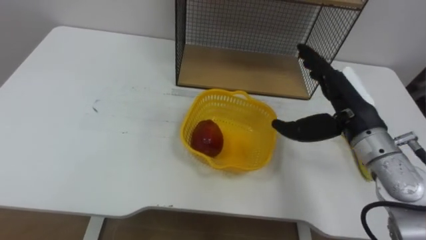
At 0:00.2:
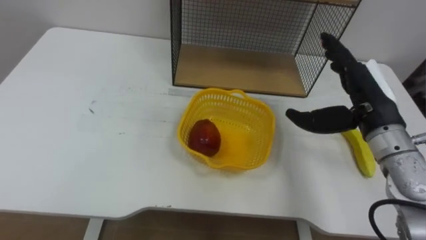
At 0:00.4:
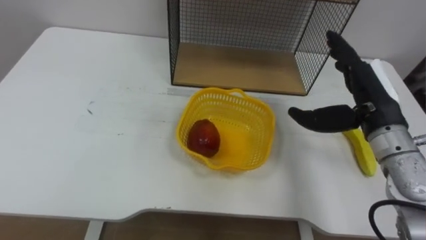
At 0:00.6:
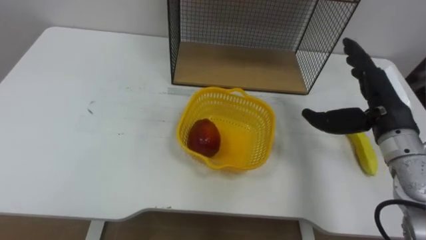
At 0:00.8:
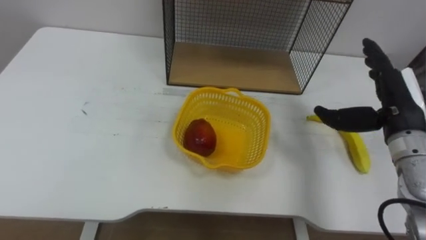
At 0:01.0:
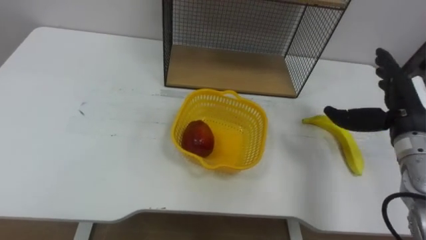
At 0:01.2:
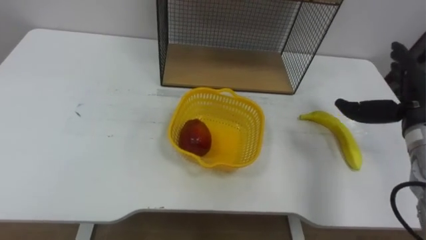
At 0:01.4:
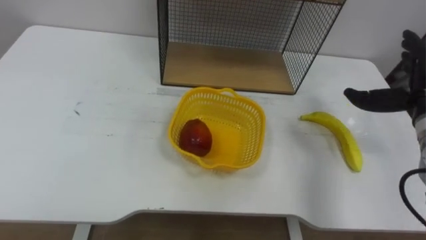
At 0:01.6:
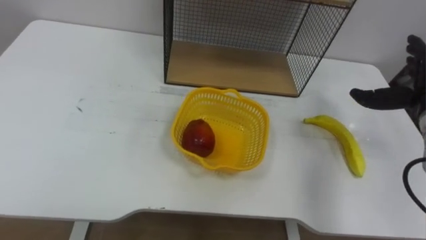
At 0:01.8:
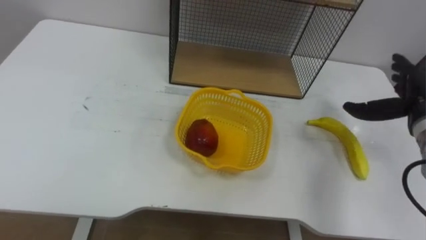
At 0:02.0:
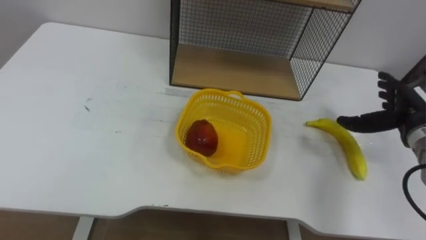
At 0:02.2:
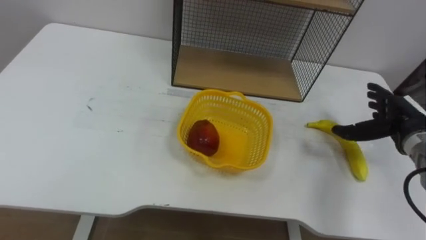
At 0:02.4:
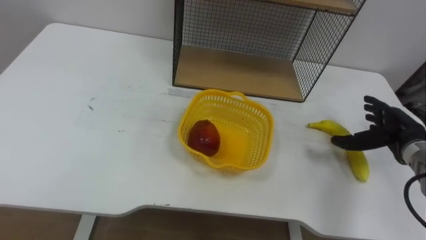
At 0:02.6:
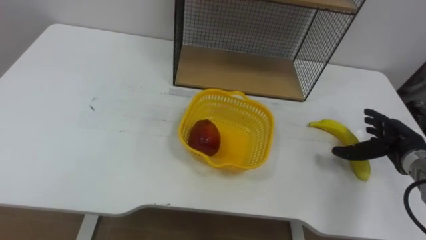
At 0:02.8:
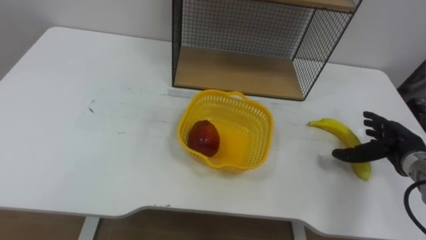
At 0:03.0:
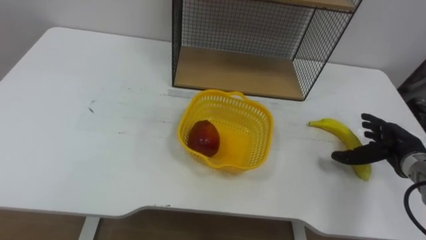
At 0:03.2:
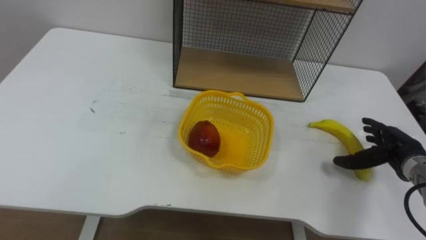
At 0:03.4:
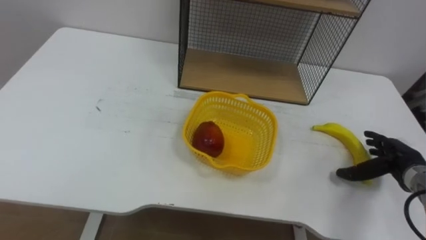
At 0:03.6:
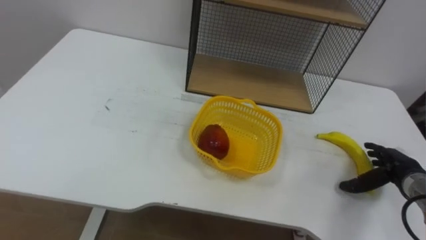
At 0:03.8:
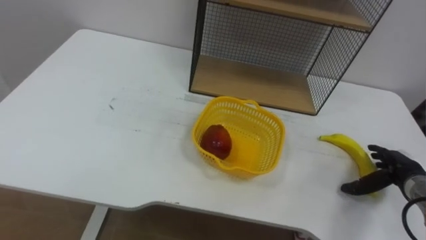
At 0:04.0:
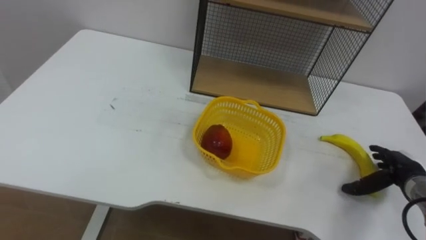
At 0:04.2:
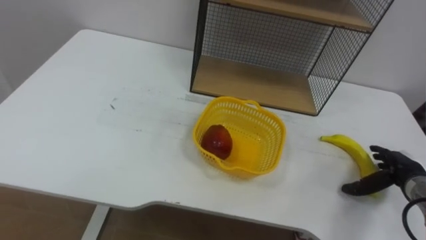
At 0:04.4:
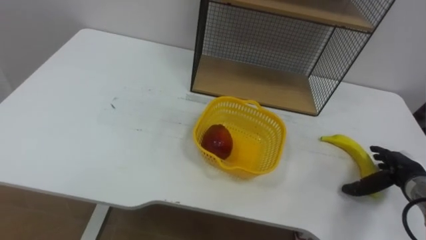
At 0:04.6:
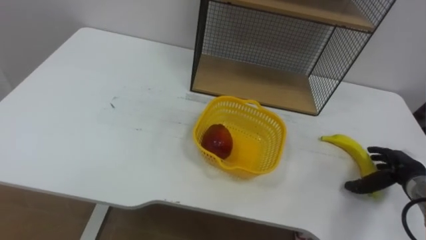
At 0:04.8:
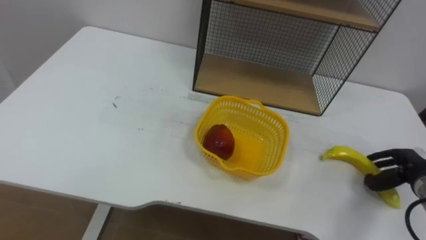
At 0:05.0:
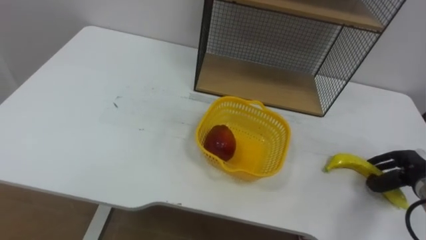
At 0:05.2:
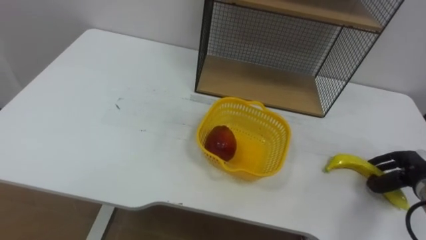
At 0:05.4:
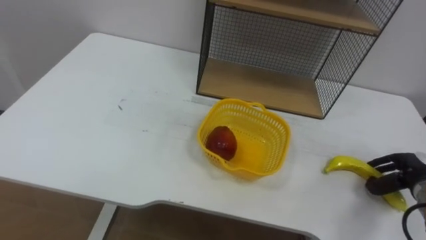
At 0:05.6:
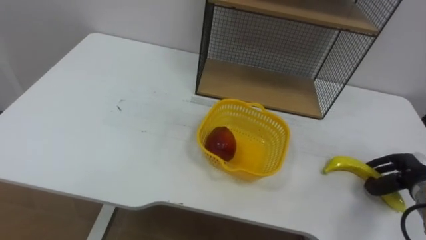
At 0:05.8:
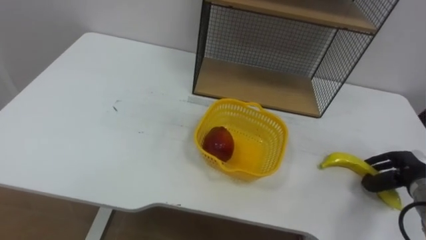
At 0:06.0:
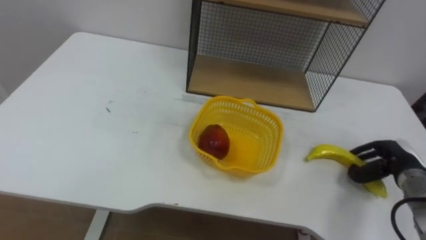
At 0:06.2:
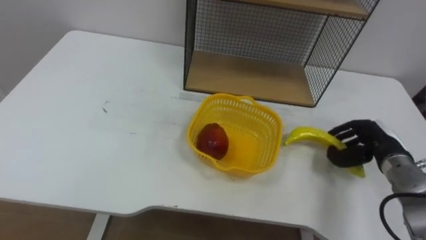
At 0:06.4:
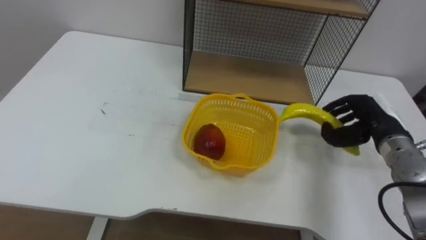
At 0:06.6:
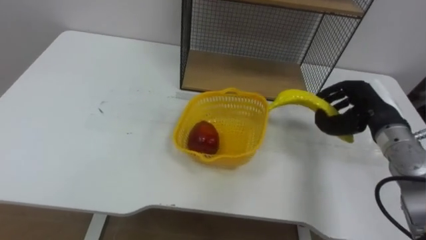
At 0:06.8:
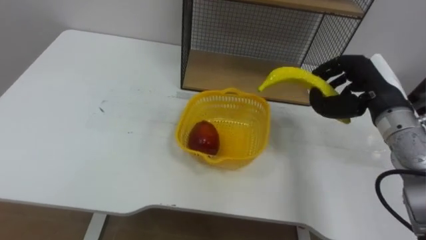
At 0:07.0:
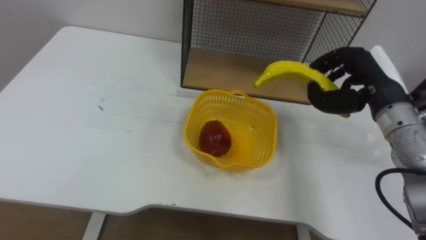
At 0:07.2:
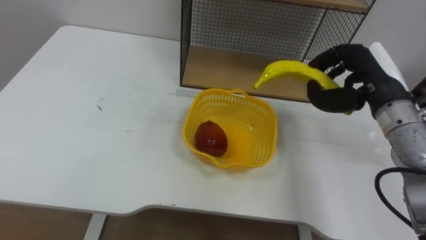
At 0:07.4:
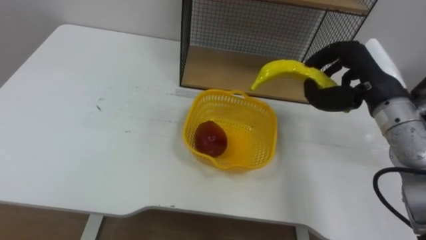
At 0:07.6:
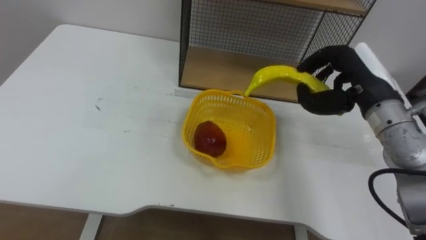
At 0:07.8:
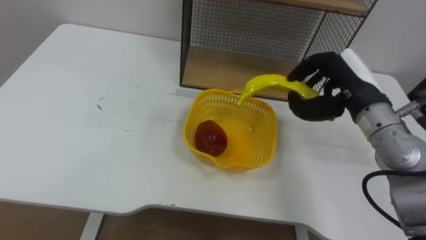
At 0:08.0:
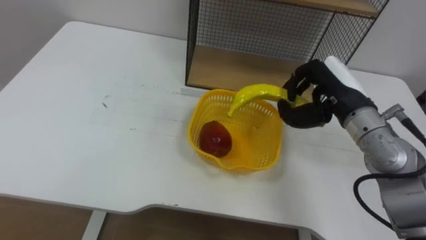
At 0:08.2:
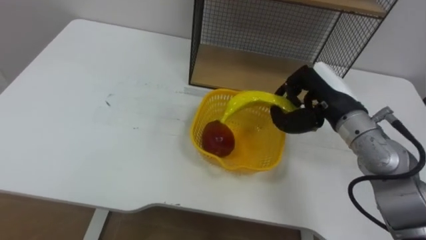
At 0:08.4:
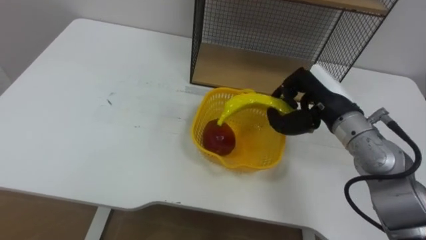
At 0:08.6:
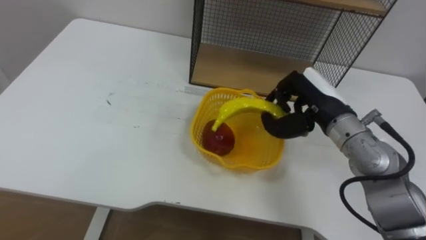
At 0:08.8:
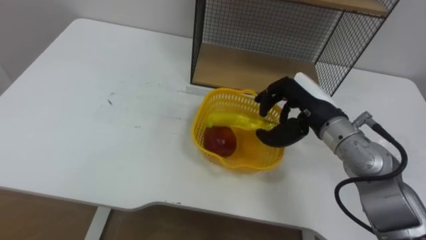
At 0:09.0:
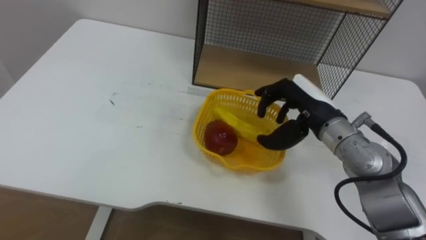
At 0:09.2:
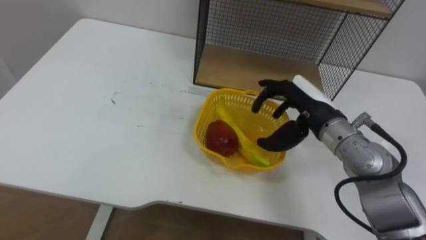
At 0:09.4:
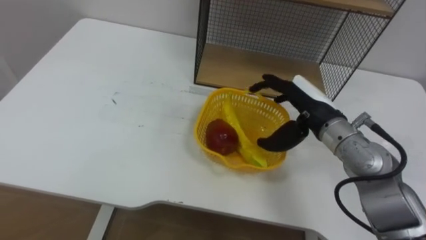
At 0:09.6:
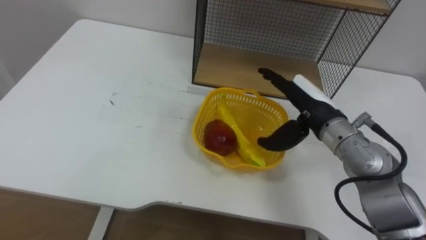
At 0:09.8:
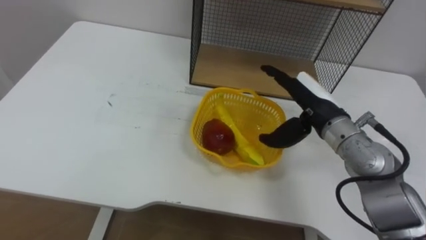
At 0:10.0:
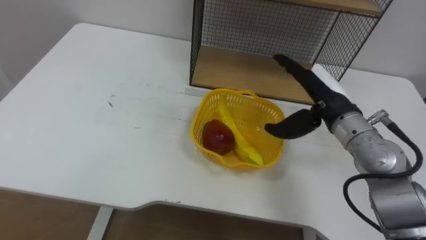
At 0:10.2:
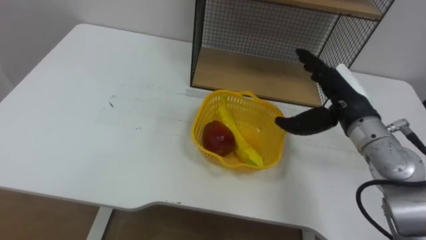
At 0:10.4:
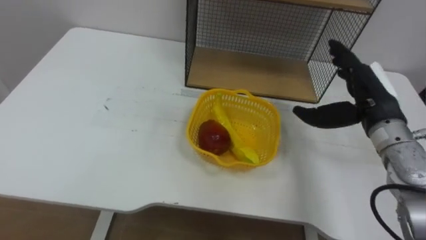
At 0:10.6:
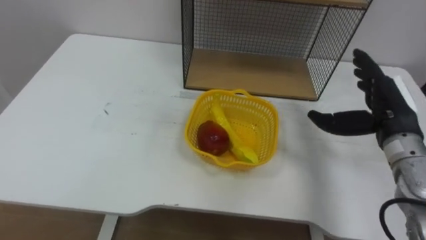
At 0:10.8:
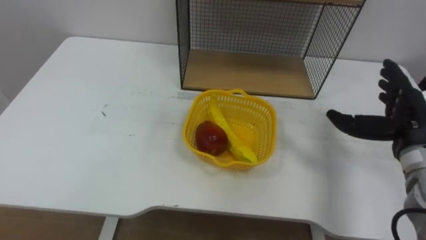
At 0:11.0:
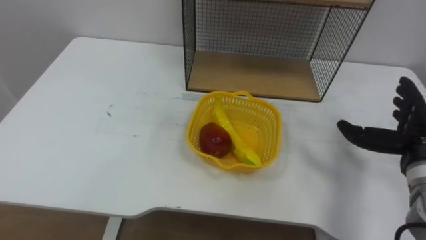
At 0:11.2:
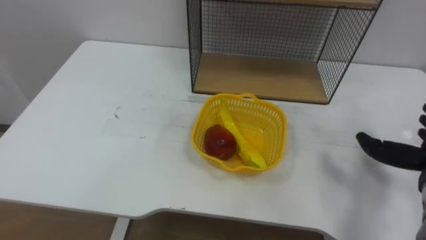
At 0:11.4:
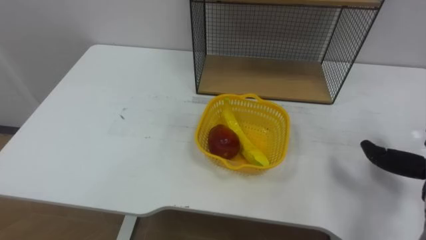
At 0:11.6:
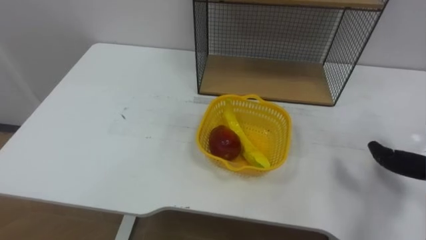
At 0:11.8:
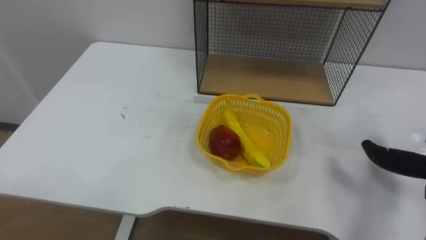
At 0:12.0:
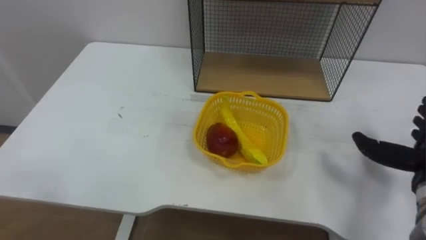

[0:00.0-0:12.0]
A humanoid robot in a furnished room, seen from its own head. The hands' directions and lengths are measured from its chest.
Task of the whole recording: Put the fruit on the table into the basket, then place the basket on the shelf.
0:03.0 to 0:04.4: The right hand ends up about 5 cm from where it was.
0:04.4 to 0:06.0: The right hand closes its fingers.
0:06.0 to 0:07.6: The right hand heads upward and to the left, covering about 20 cm.
0:07.6 to 0:09.0: The right hand travels to the left by about 5 cm.
0:09.0 to 0:10.4: The right hand goes some 10 cm to the right, and opens its fingers.

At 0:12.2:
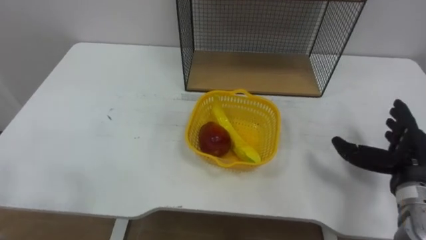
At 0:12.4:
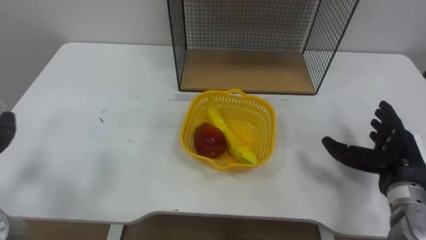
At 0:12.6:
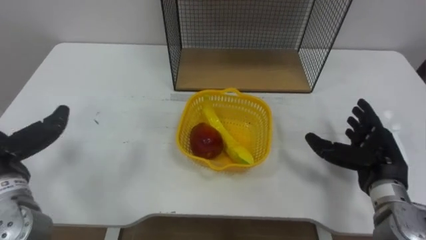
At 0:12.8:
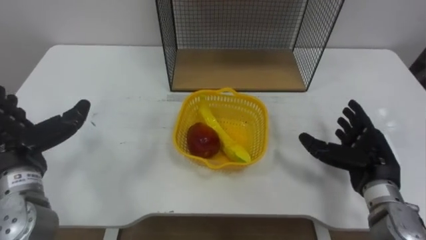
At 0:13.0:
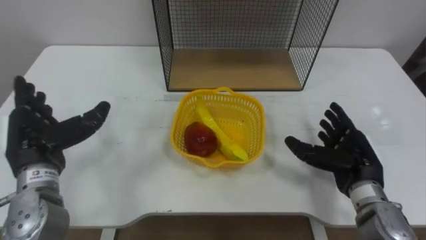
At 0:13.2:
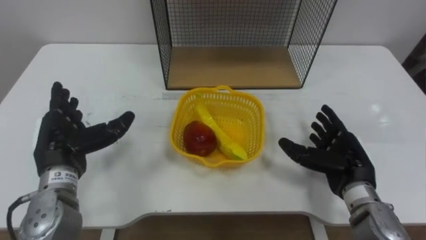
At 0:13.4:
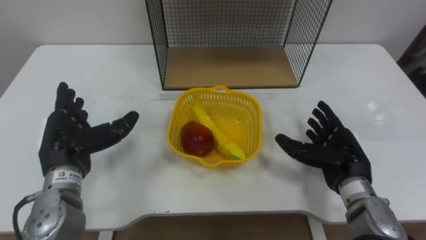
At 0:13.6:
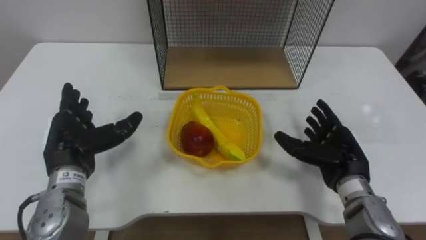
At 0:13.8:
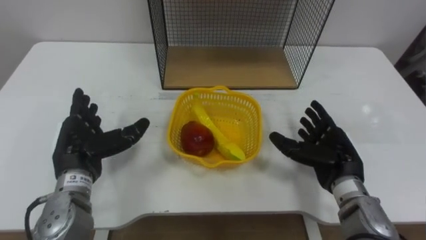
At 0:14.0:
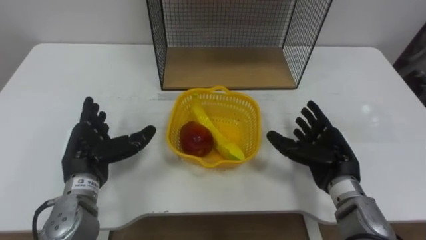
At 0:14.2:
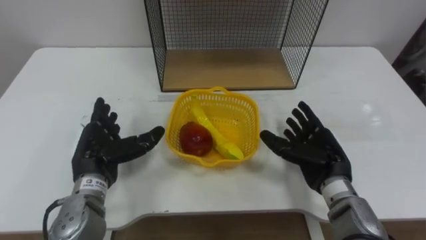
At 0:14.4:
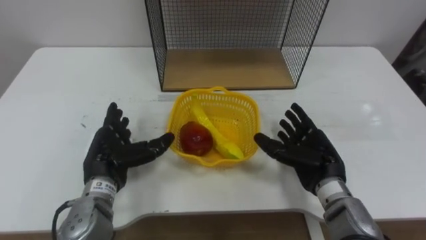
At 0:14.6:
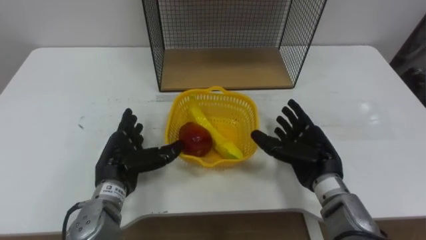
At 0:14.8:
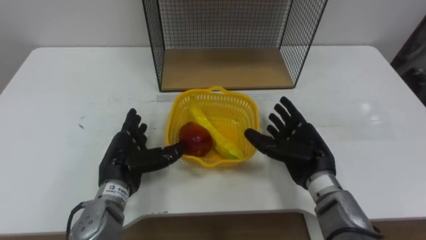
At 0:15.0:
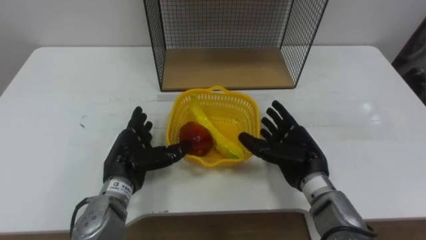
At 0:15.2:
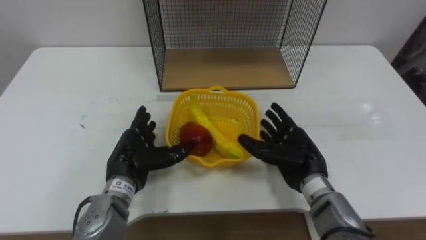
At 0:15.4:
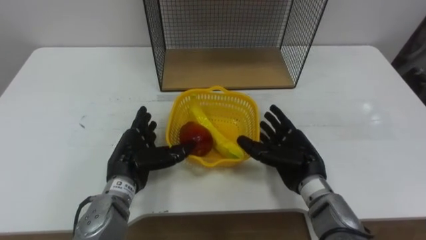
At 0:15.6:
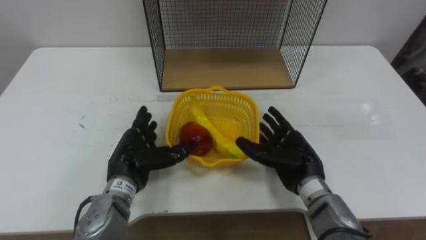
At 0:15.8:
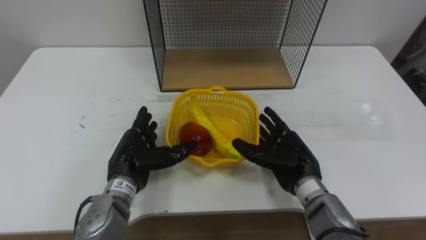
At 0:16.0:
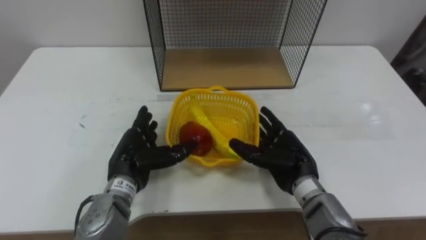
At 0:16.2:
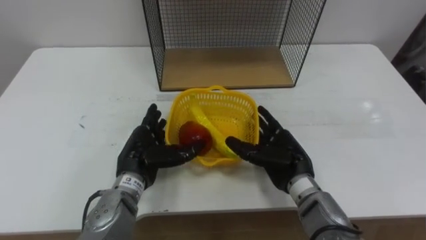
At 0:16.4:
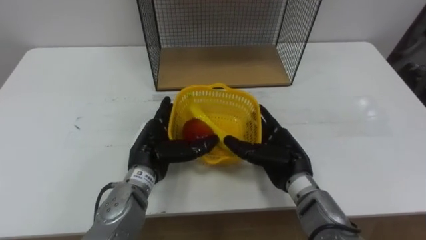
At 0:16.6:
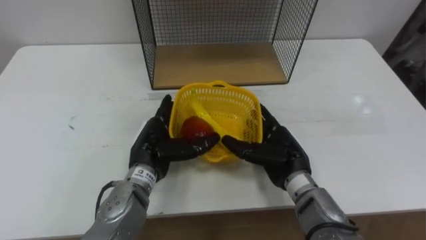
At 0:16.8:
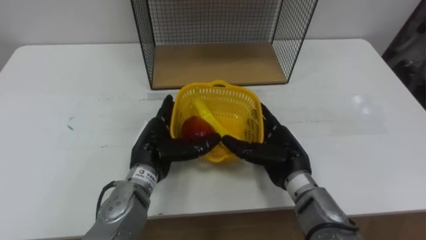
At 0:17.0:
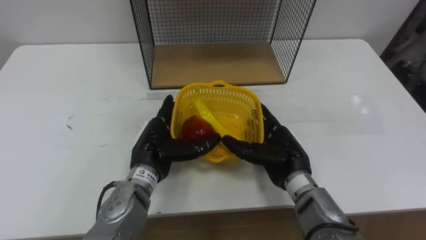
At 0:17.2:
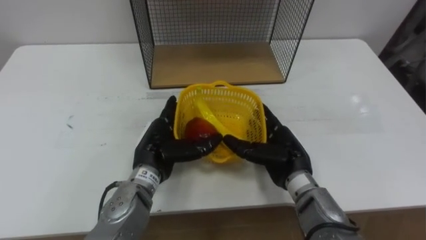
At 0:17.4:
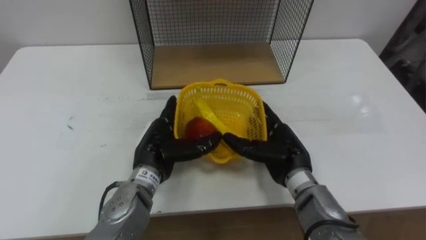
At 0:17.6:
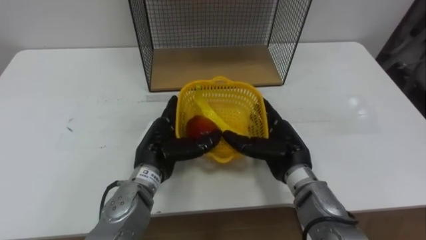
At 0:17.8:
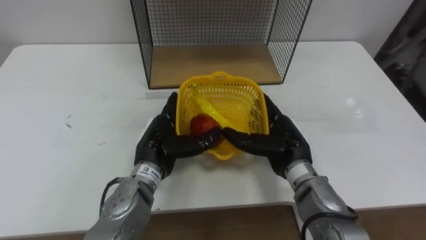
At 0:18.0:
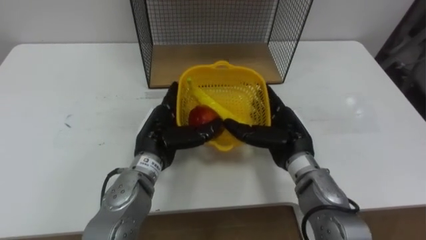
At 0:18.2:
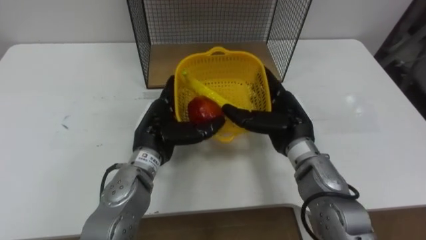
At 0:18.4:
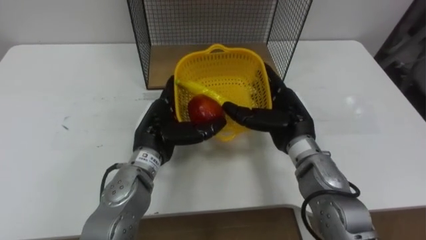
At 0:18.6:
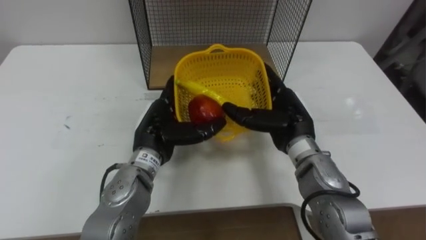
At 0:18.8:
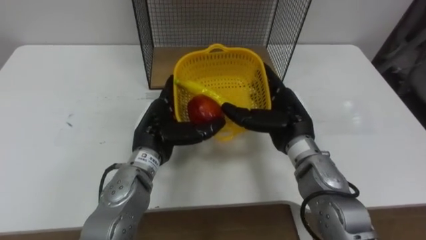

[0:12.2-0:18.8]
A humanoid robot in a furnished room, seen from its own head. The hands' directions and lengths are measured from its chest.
Task of the whole recording: Put the fruit on the table into the basket, then place the basket on the shelf.
0:12.2 to 0:13.8: The right hand heads to the left, covering roughly 10 cm.
0:13.8 to 0:15.4: The right hand travels to the left by some 5 cm. Meanwhile the left hand is displaced to the right by about 10 cm.
0:15.4 to 0:17.2: The left hand is displaced to the right by roughly 5 cm.
0:17.2 to 0:18.8: The right hand shifts roughly 5 cm upward.
